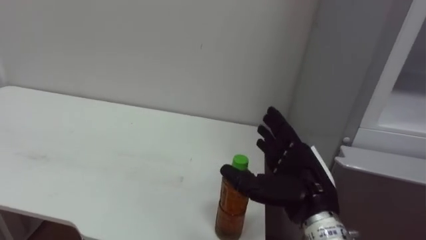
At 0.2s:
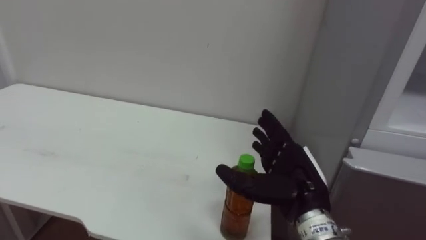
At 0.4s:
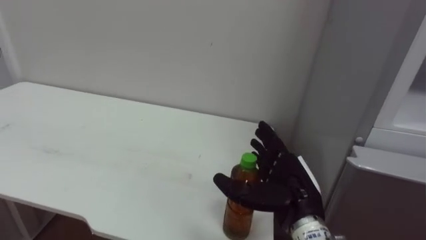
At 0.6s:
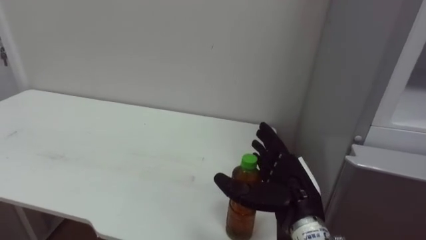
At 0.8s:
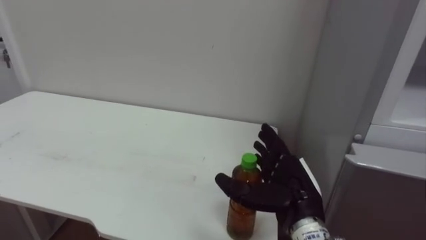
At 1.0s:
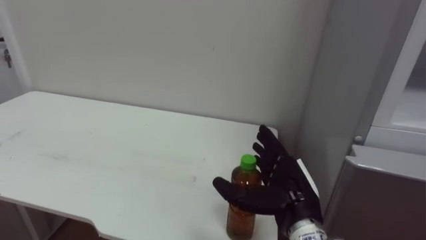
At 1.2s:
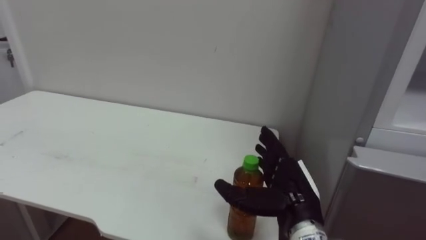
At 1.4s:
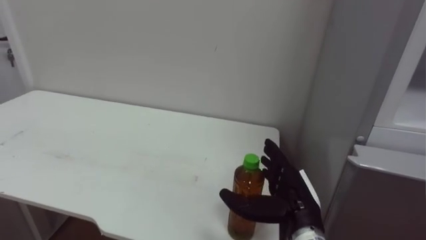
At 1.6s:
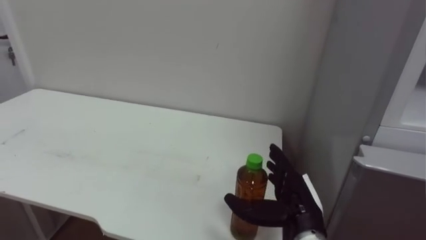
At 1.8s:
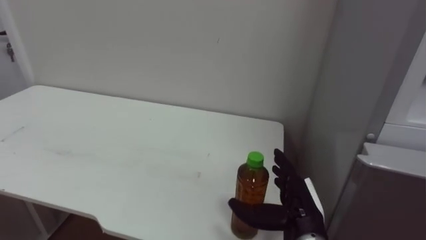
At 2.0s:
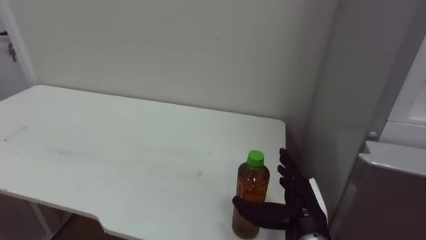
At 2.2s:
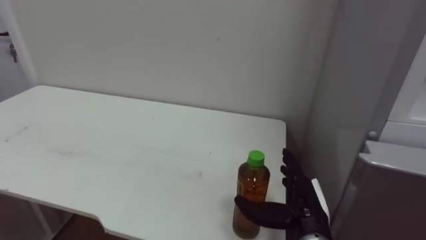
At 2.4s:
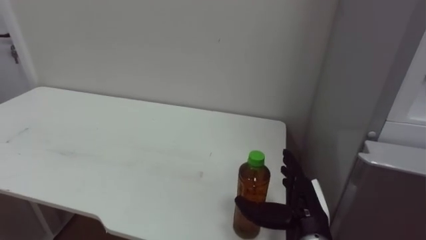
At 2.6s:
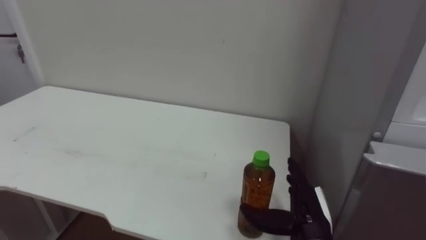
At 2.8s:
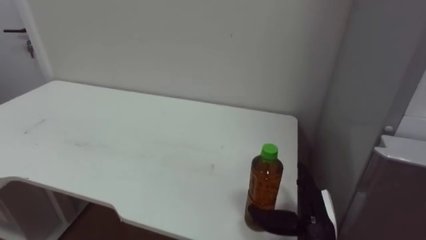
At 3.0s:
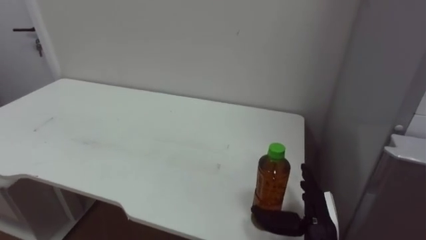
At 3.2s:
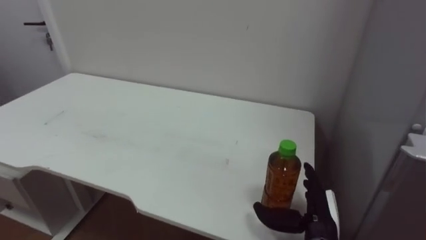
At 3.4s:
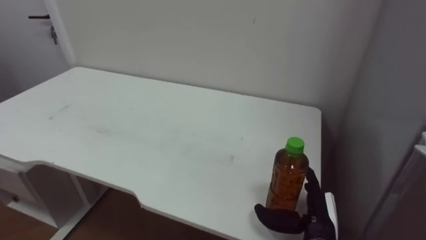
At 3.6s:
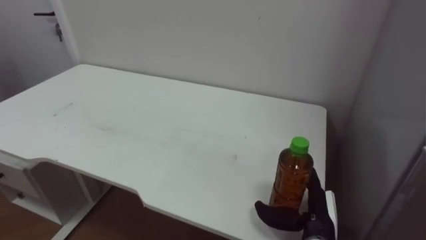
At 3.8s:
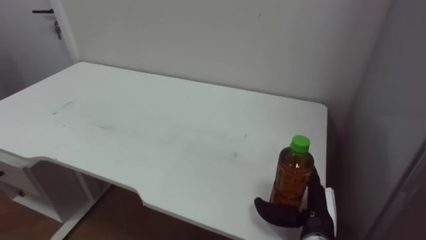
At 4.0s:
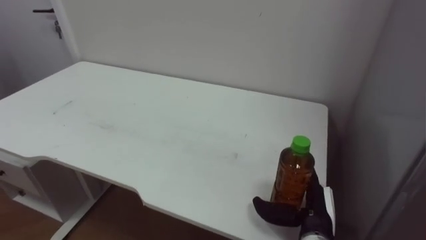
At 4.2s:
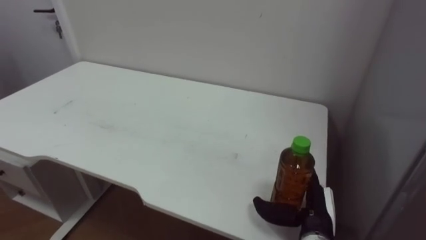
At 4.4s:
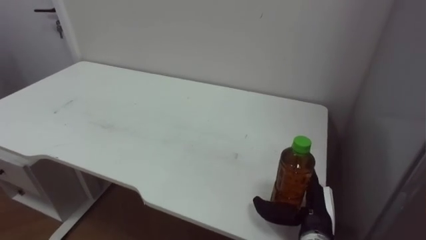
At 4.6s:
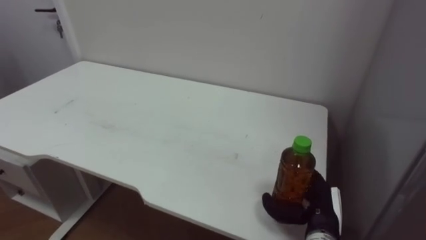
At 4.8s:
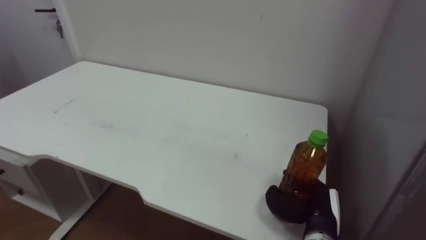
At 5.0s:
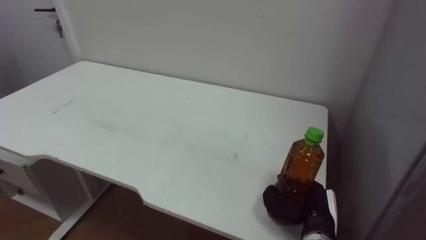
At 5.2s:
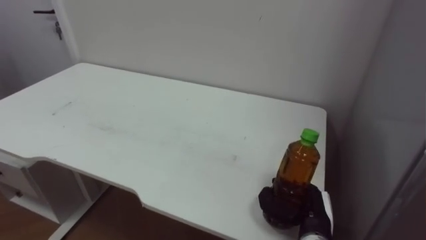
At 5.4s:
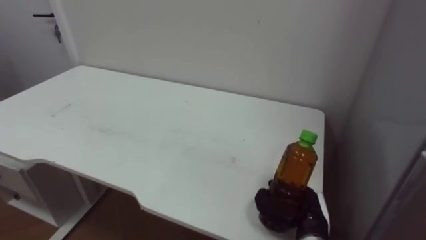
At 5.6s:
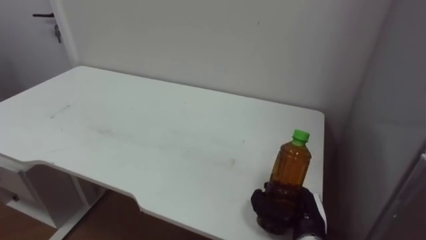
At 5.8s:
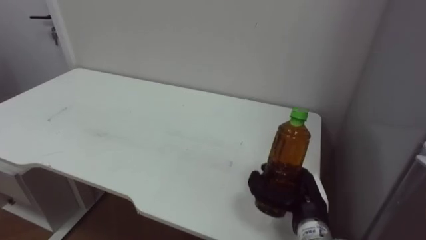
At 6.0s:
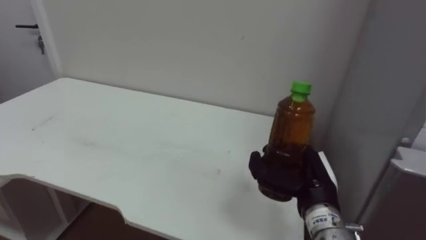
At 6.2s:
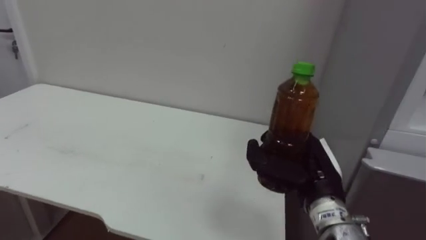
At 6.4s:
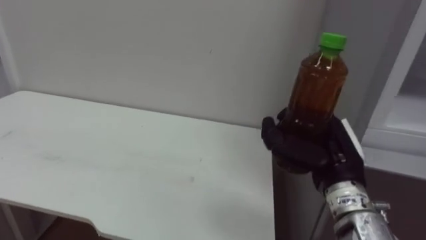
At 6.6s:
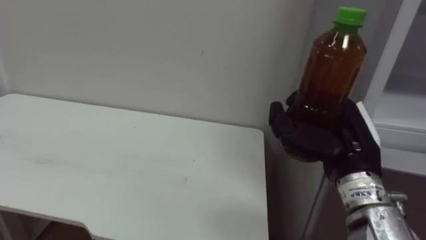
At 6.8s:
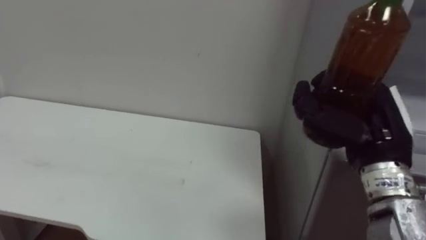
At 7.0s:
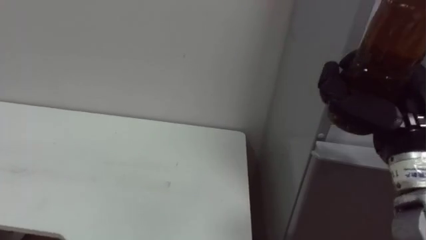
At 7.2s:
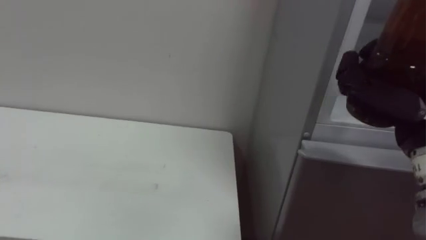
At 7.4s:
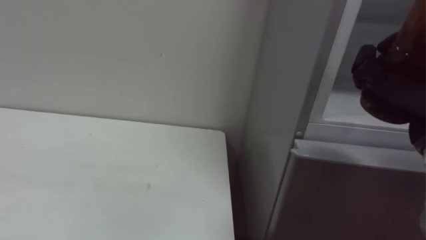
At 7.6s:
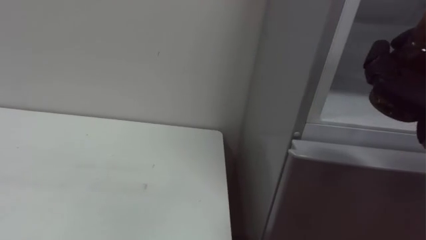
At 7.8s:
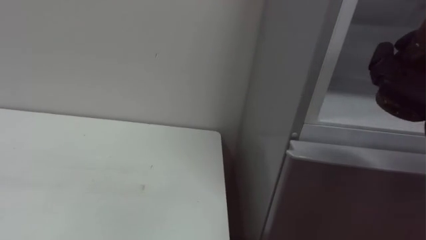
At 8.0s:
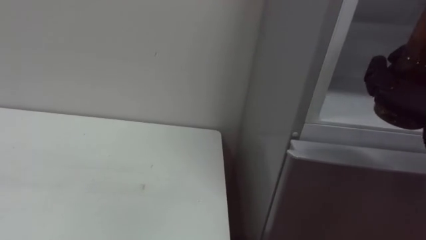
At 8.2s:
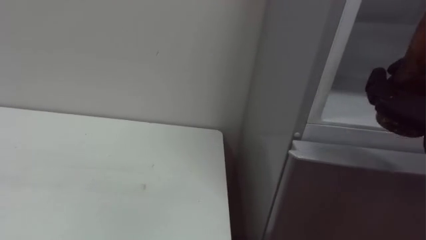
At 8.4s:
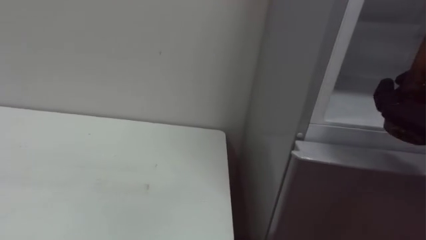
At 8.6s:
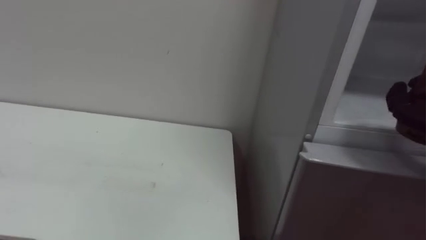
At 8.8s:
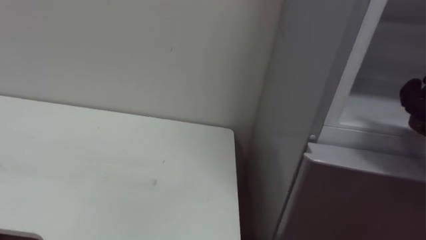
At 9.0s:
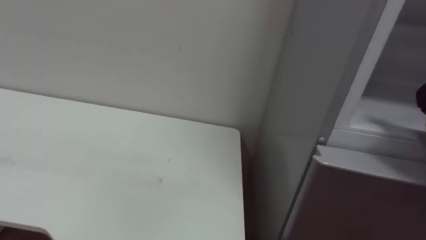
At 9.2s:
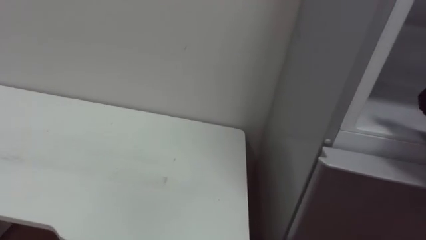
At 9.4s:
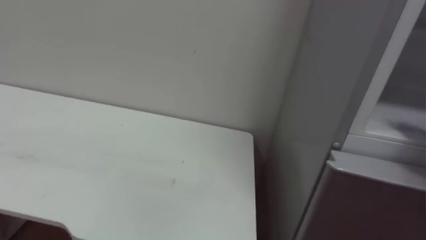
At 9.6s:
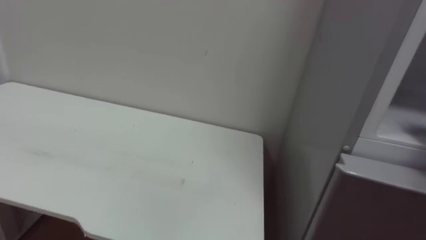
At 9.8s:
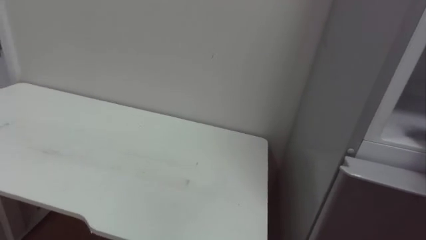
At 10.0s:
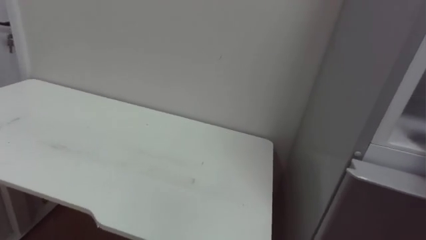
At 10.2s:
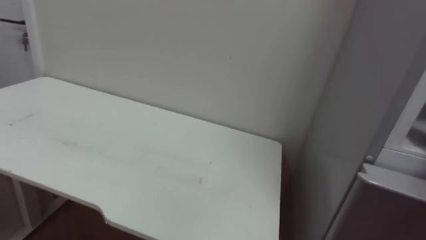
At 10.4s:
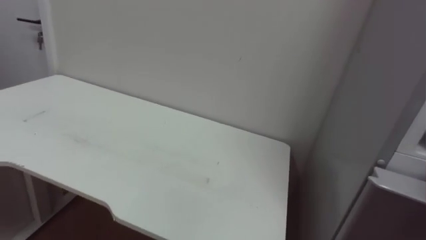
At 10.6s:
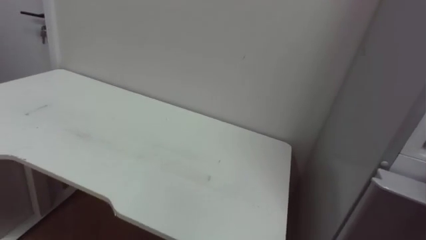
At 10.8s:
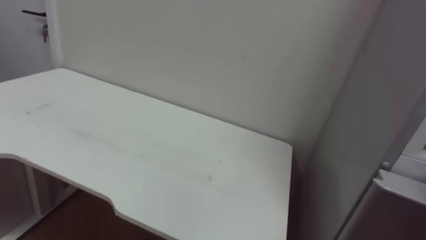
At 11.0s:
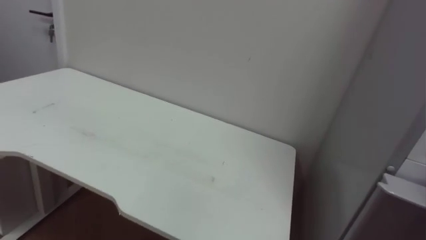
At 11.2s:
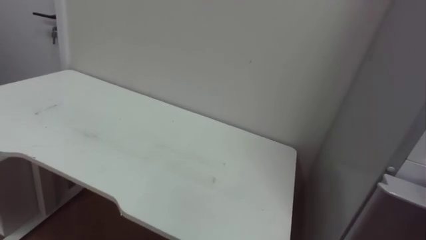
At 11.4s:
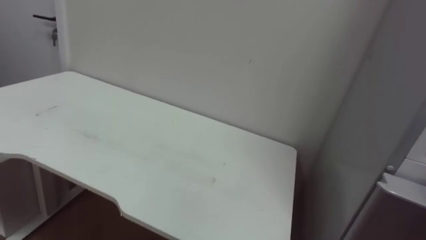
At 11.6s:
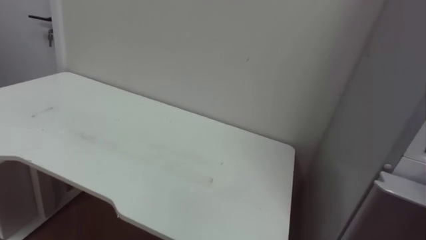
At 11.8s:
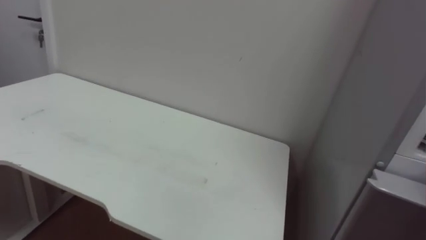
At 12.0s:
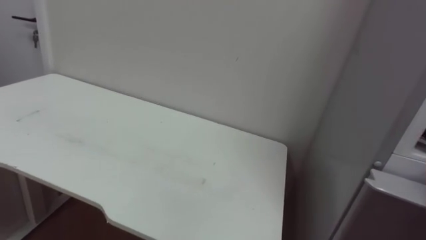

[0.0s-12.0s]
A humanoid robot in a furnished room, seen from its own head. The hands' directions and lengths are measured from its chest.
Task of the whole recording: Open the upper refrigerator door, put the drink from the table into the refrigerator, and then close the refrigerator door.
0.0s to 1.6s: The right hand shifts some 5 cm downward.
1.6s to 3.0s: The right hand shifts by approximately 5 cm.
4.4s to 6.0s: The right hand is displaced upward by about 5 cm, and closes up.

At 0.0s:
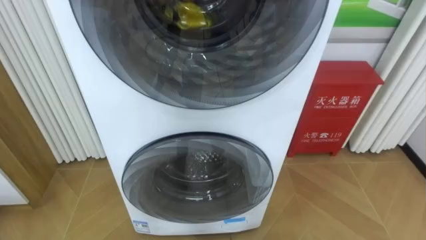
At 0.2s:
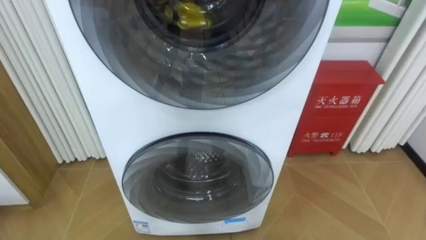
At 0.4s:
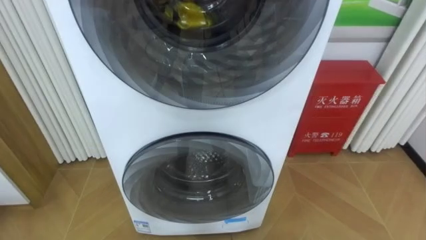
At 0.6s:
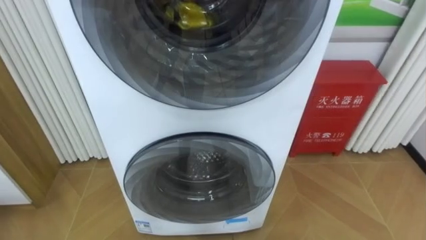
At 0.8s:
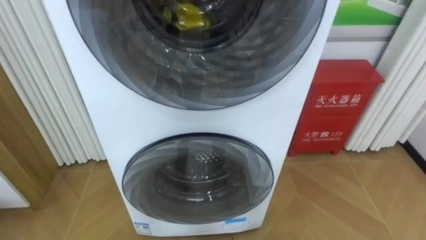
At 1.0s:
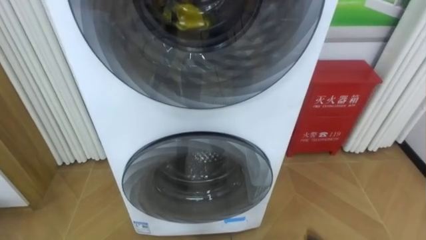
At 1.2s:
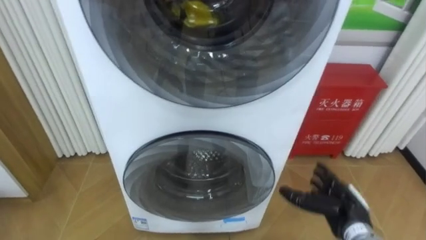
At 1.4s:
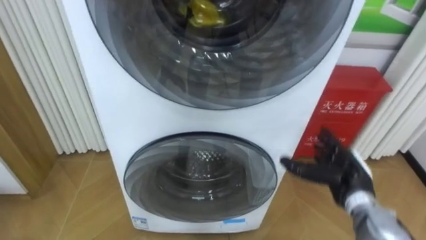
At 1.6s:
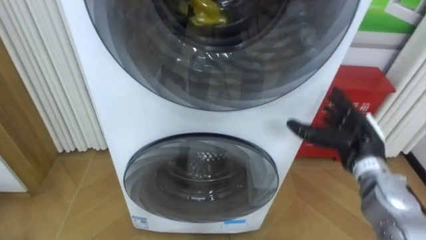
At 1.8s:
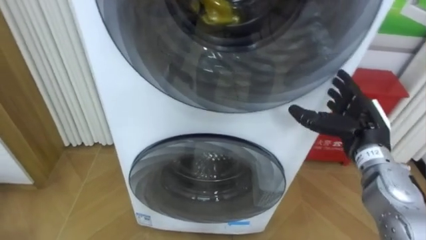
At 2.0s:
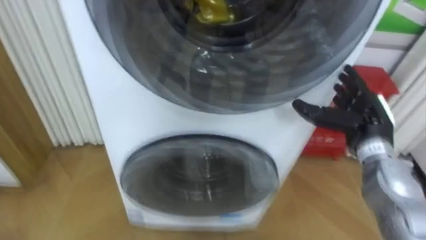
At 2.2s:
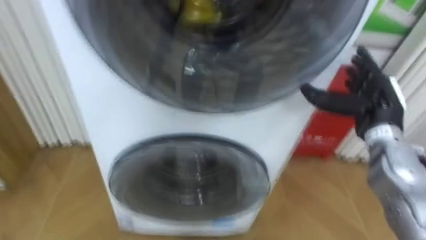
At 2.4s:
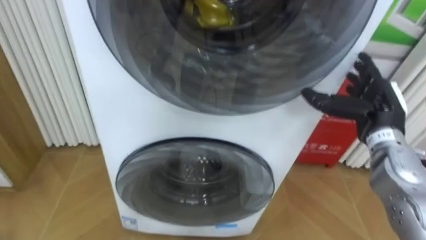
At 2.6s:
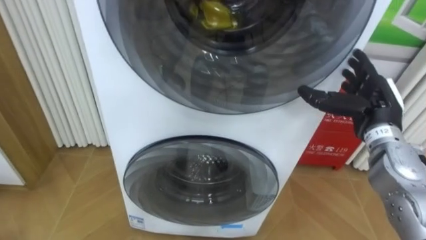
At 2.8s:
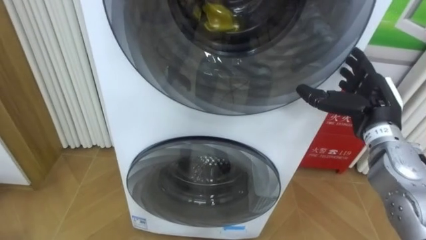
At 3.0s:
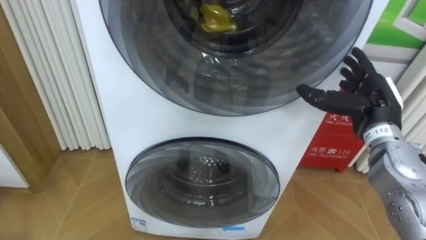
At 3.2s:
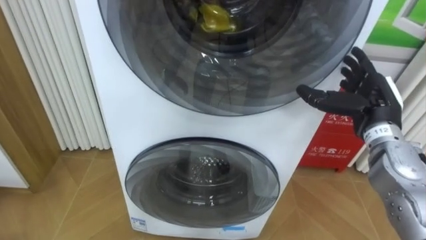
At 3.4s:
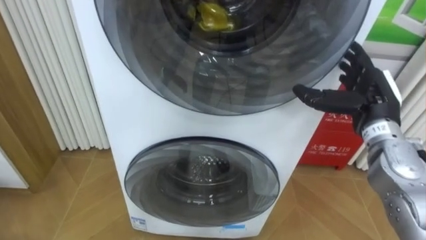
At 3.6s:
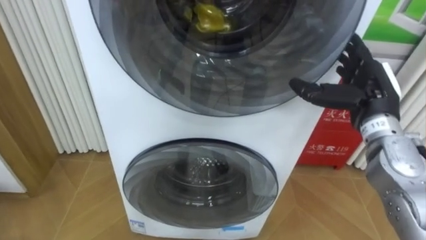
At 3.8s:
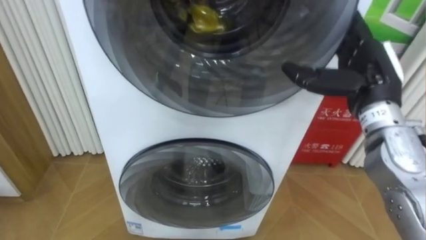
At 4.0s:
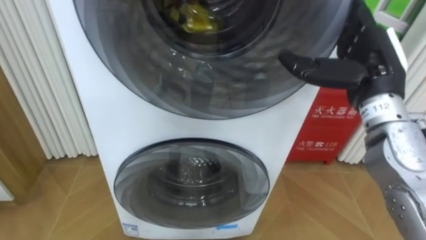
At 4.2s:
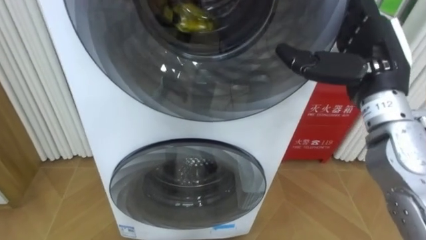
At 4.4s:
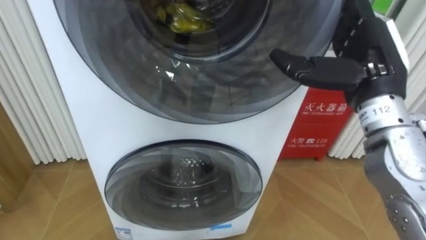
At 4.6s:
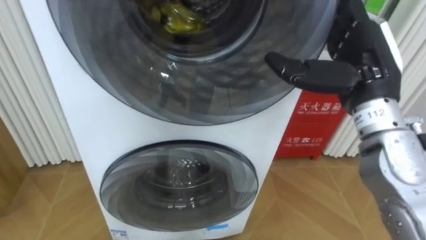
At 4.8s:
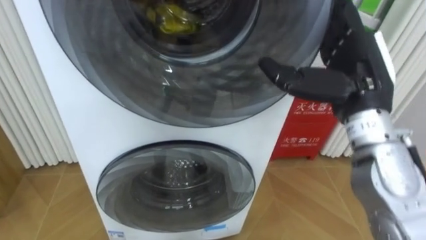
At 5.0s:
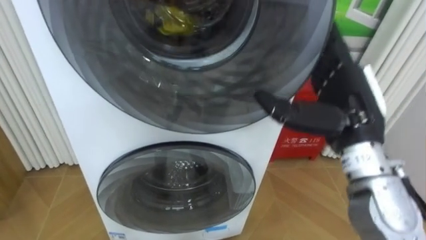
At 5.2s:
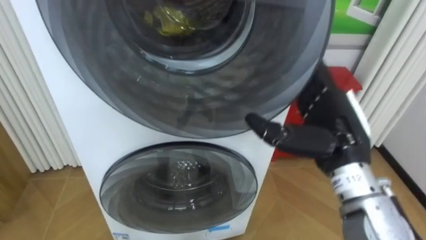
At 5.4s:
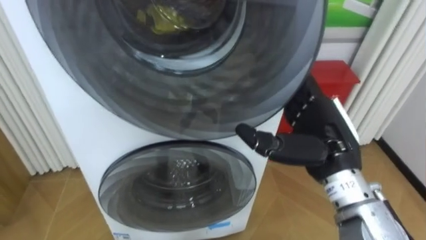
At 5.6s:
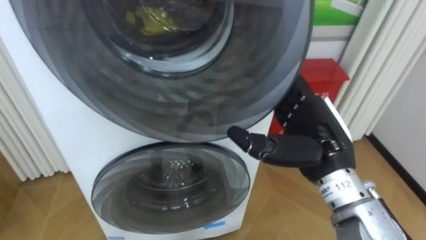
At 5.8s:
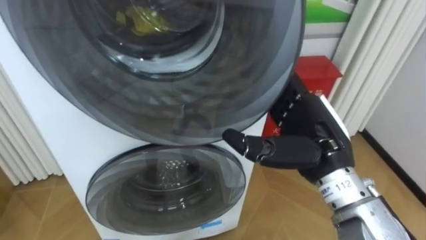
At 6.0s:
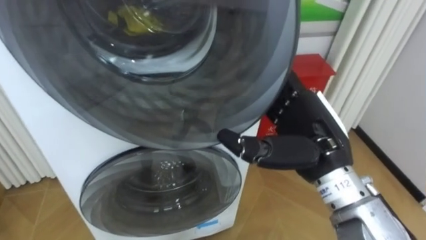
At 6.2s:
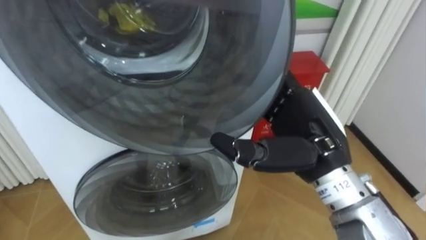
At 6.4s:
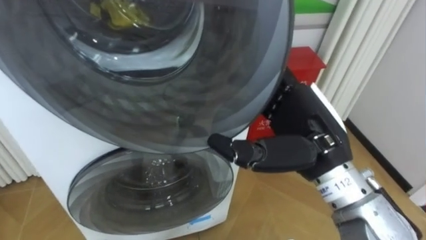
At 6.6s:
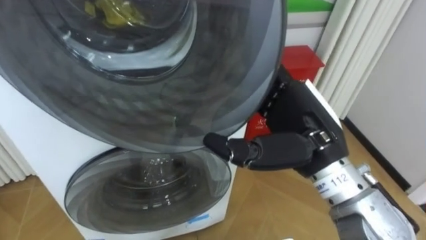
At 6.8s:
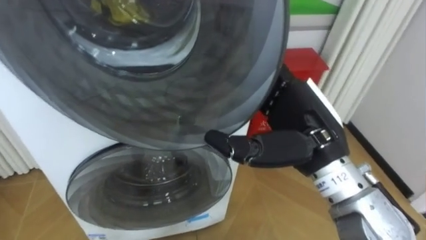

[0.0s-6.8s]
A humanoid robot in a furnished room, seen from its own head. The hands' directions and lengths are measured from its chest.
Task of the whole recording: Open the washing machine door, take out the yellow clothes, place them in the box on the right, and close the washing machine door.
1.4s to 2.8s: The right hand heads upward, covering approximately 10 cm.
2.8s to 4.0s: The right hand moves upward, approximately 10 cm.
4.0s to 5.4s: The right hand goes roughly 10 cm downward, backward and to the left.
5.4s to 6.8s: The right hand ends up some 5 cm from where it was.
